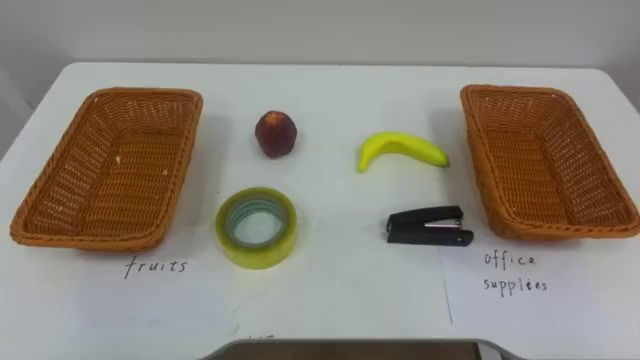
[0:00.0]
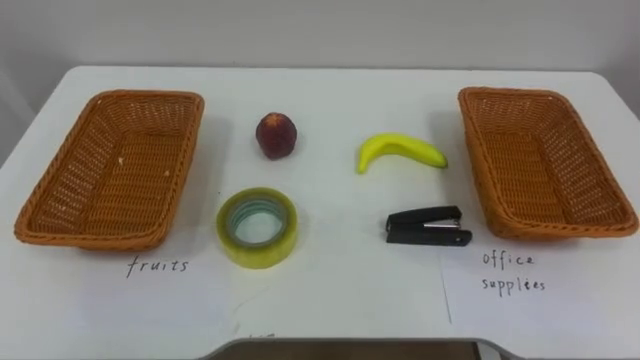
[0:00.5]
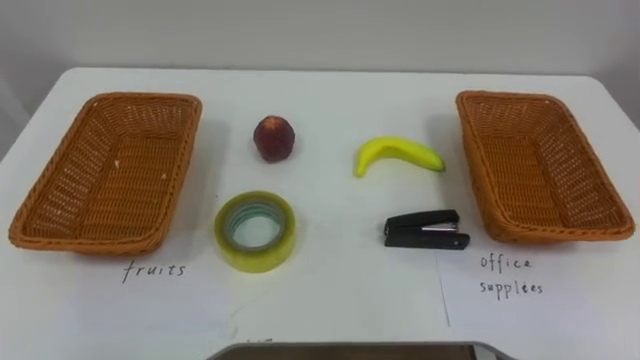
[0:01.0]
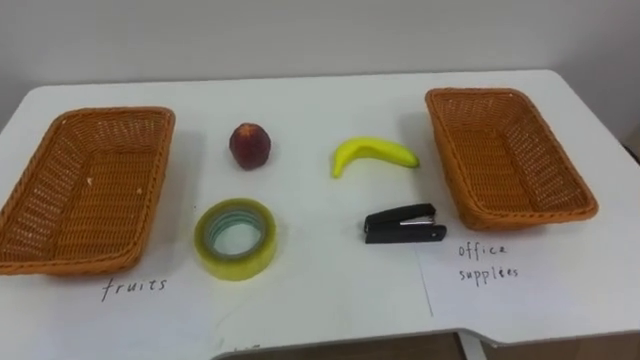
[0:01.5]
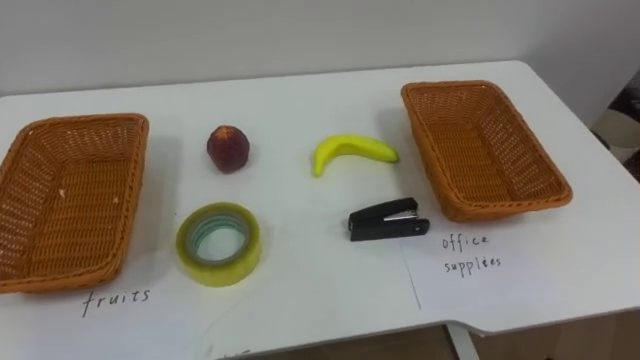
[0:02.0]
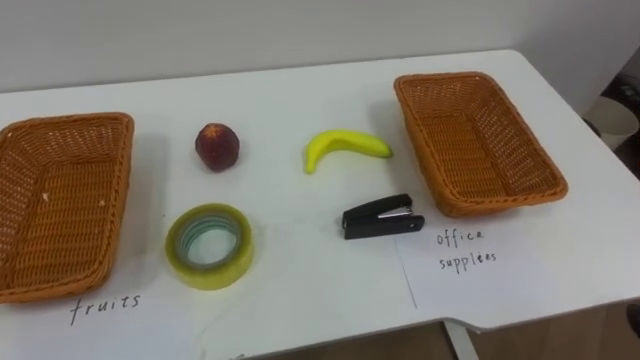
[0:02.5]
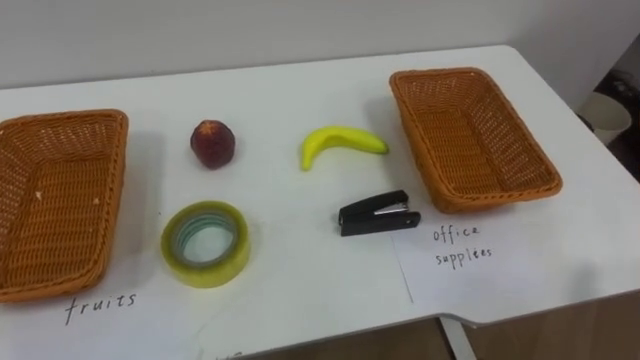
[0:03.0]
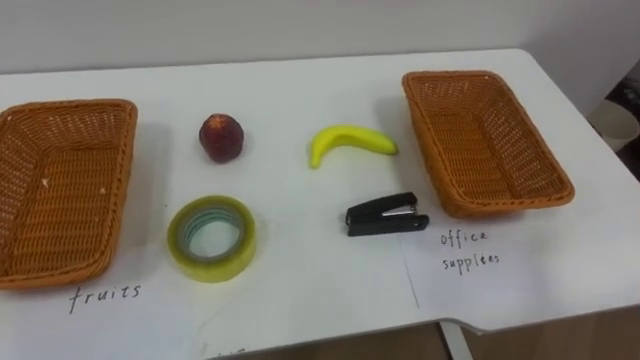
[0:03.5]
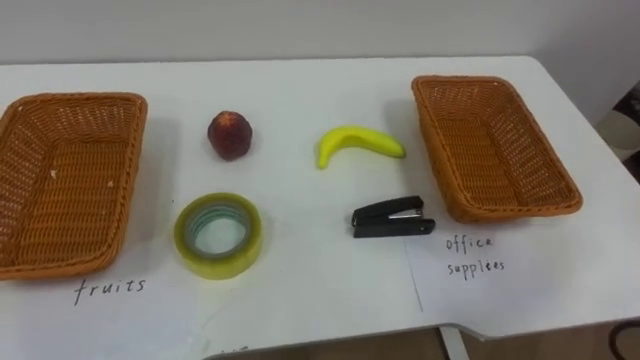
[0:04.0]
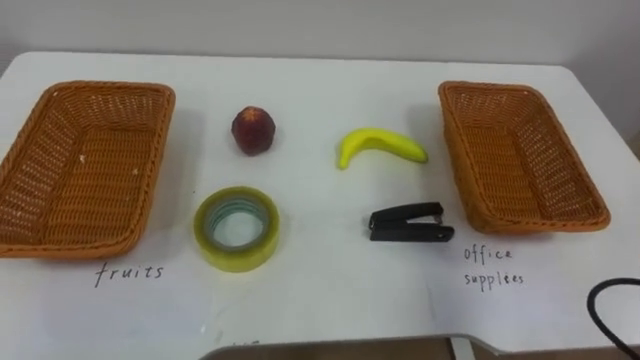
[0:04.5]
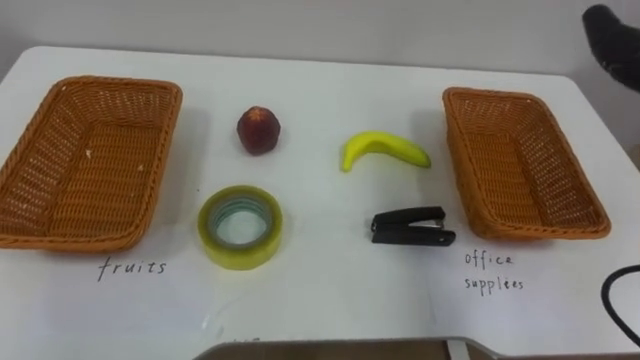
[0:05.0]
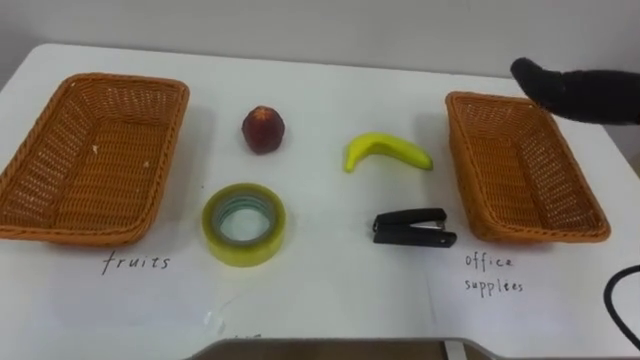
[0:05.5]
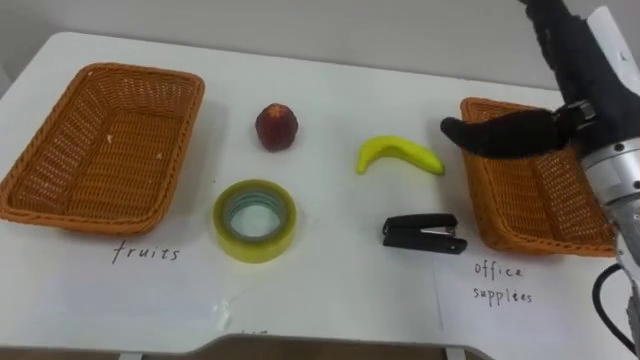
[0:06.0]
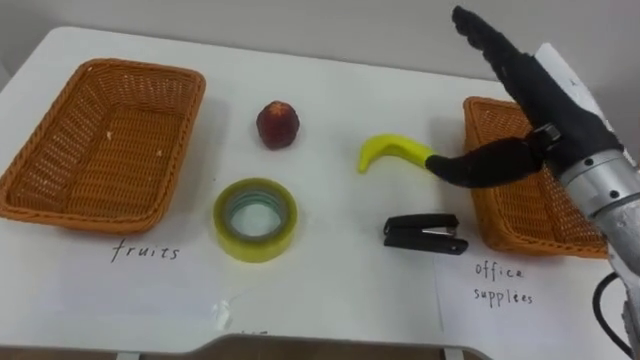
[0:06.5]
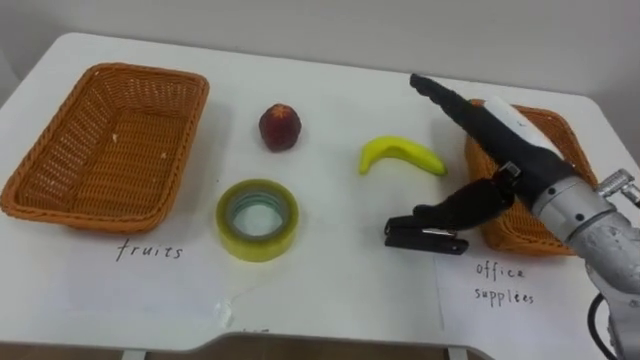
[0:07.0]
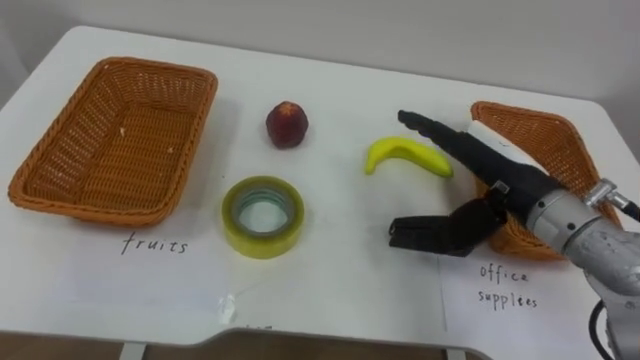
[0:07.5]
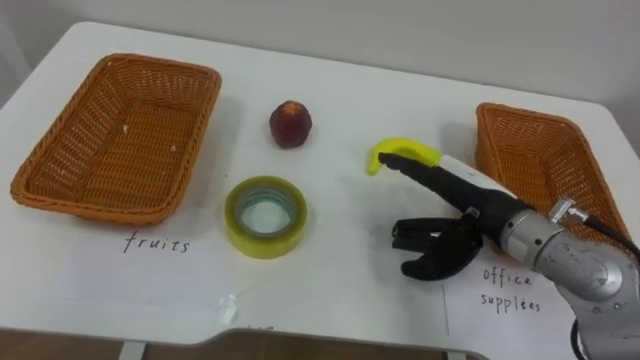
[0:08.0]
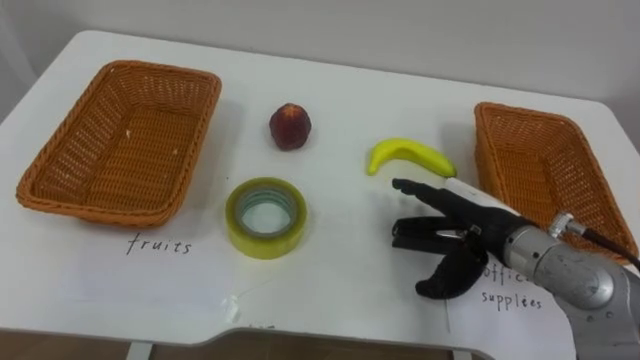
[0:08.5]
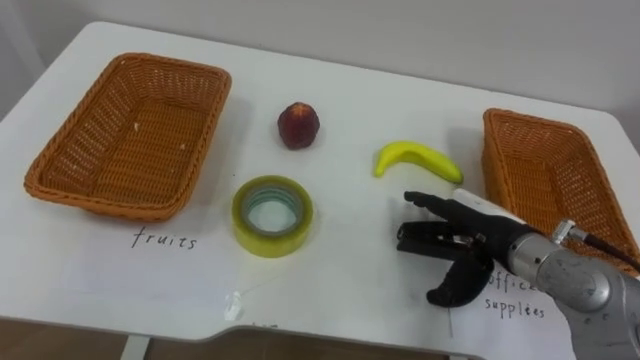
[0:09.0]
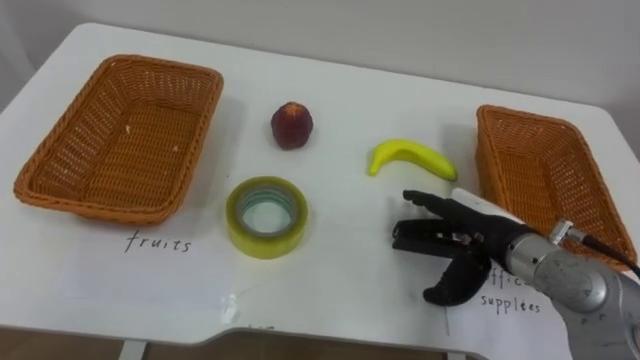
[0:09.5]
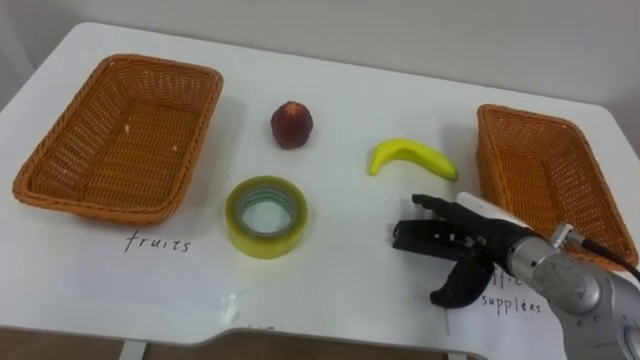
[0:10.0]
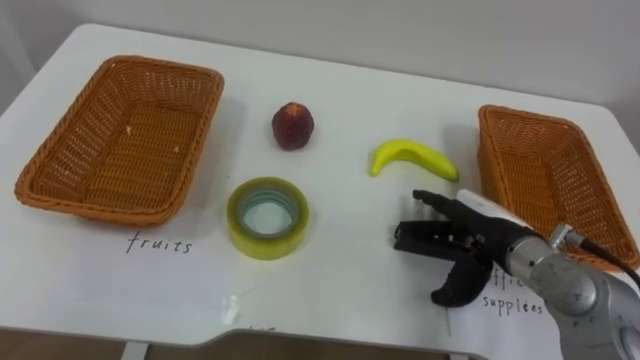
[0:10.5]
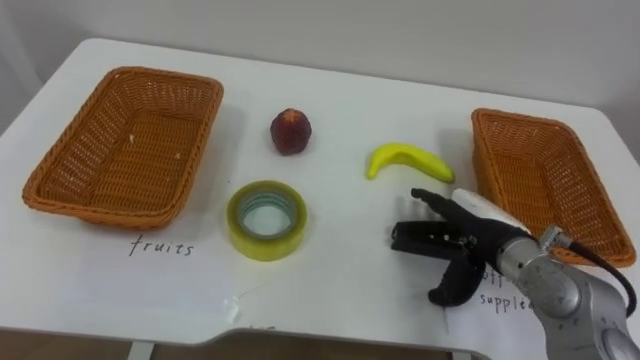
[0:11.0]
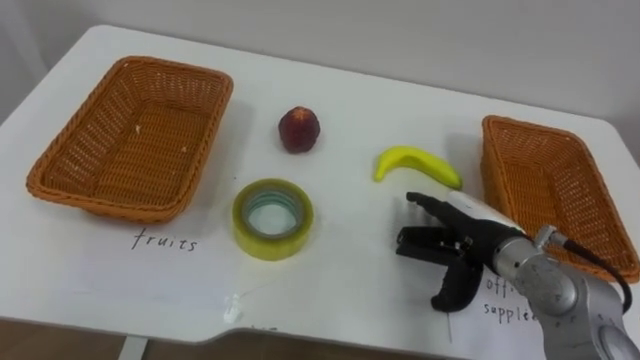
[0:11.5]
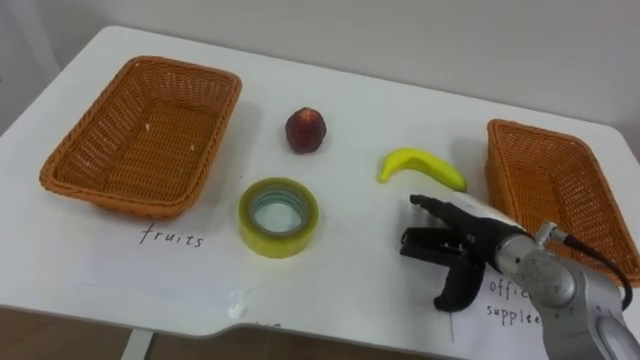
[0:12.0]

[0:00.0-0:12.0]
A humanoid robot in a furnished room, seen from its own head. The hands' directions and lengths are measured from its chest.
Task of the whole recording: Separate the items on the table and place them into the two baskets.
0:06.0 to 0:08.0: The right hand travels downward and to the left by roughly 15 cm.
0:08.0 to 0:10.0: The right hand moves downward, about 5 cm.

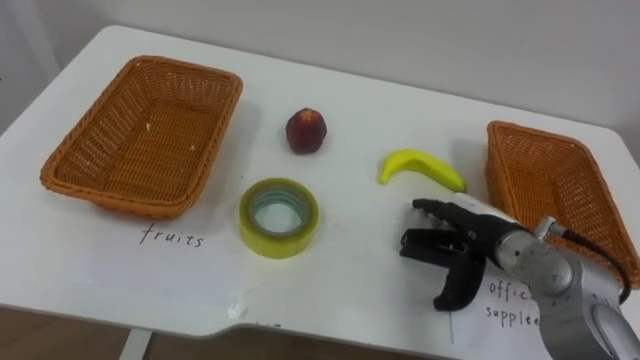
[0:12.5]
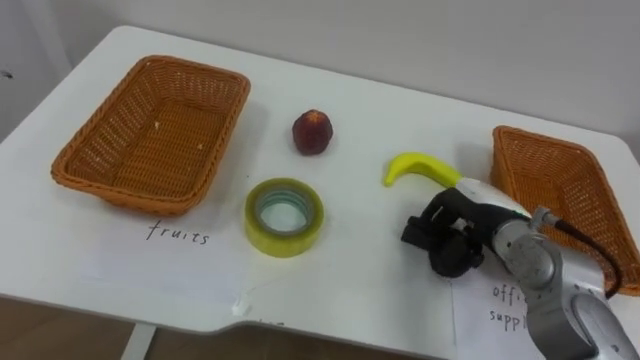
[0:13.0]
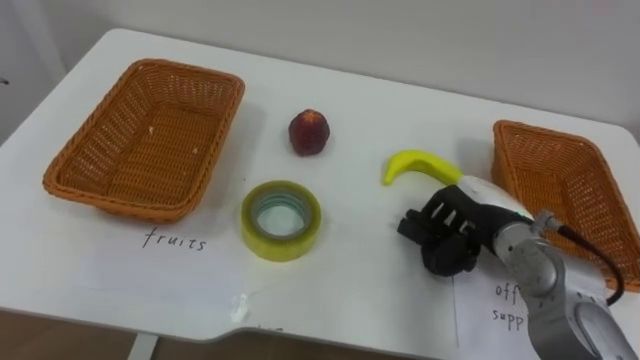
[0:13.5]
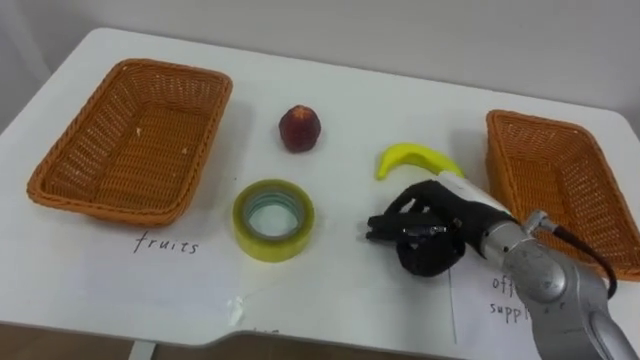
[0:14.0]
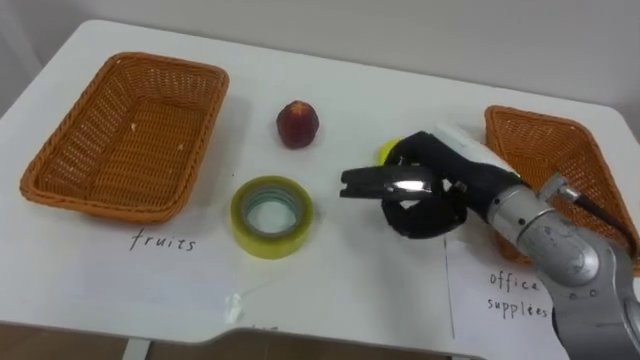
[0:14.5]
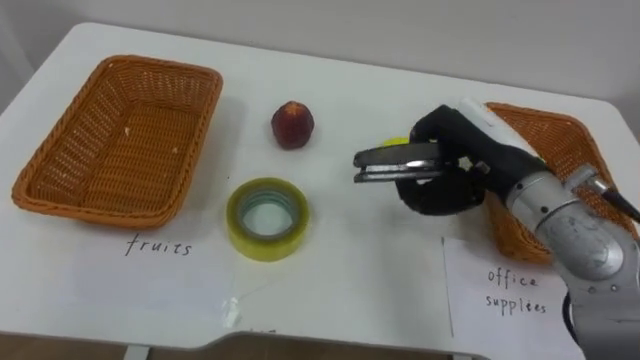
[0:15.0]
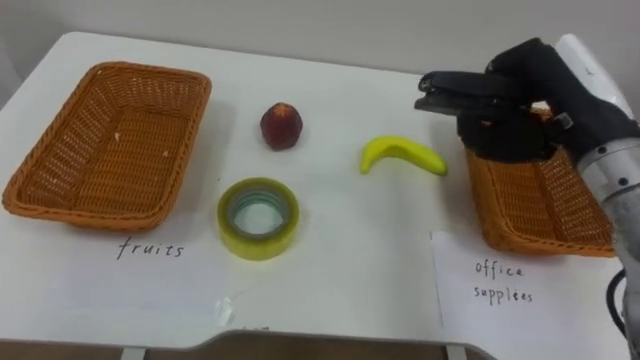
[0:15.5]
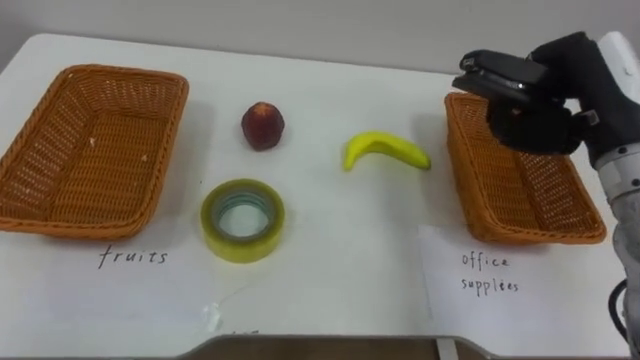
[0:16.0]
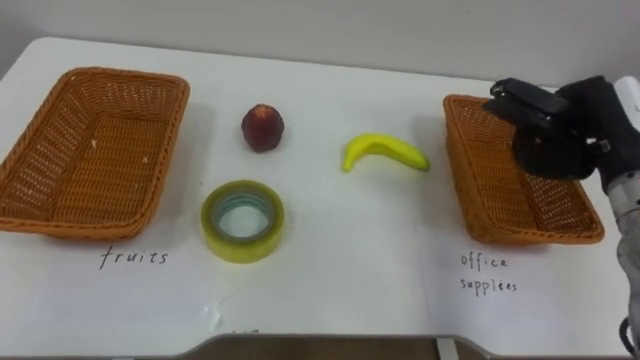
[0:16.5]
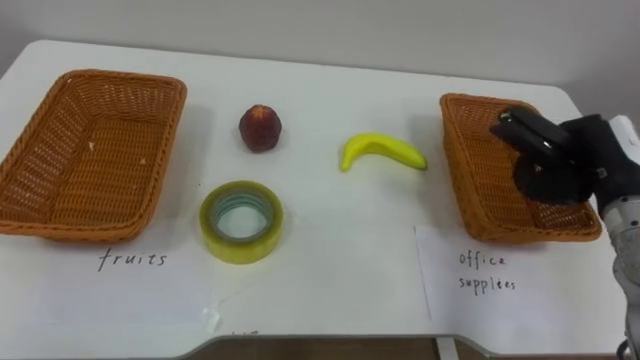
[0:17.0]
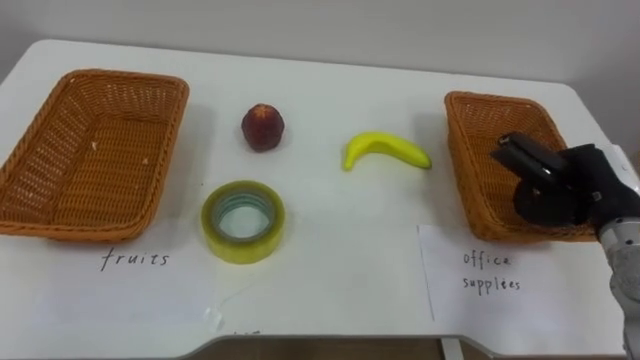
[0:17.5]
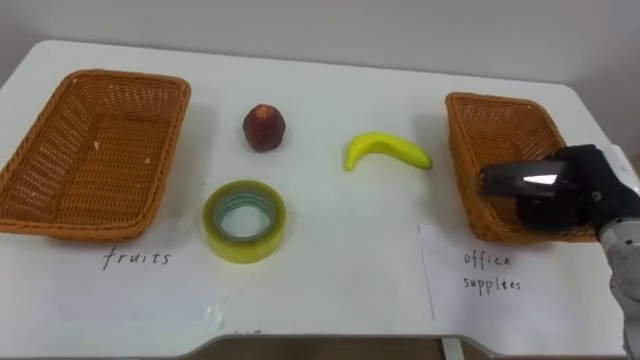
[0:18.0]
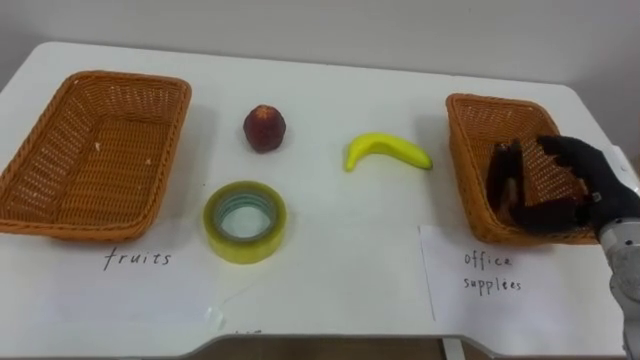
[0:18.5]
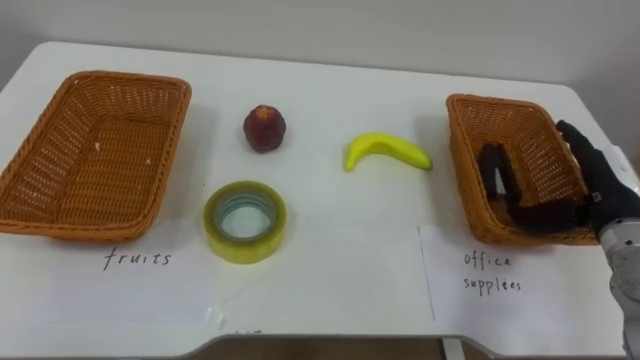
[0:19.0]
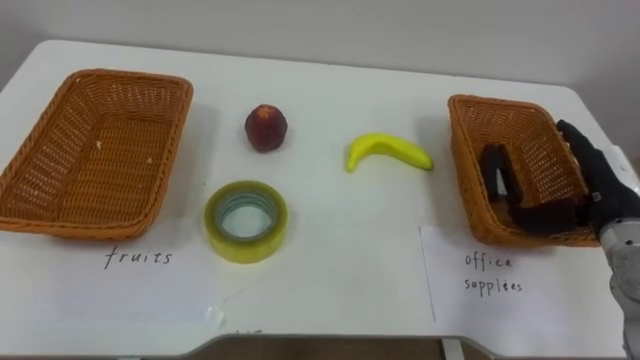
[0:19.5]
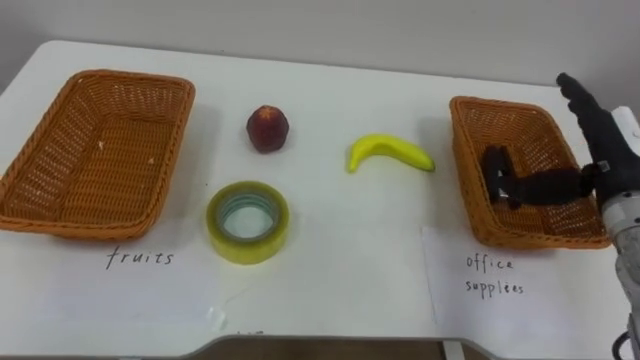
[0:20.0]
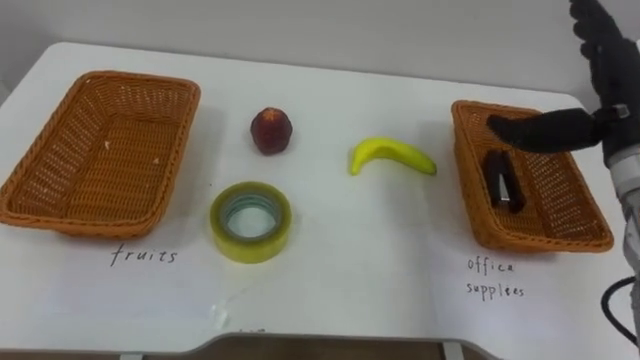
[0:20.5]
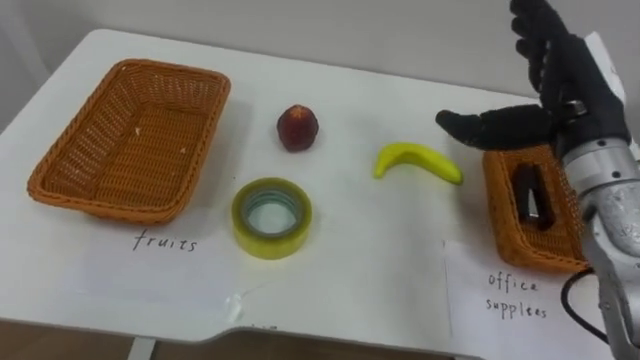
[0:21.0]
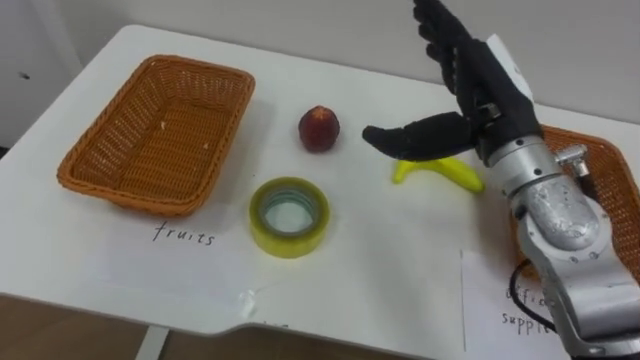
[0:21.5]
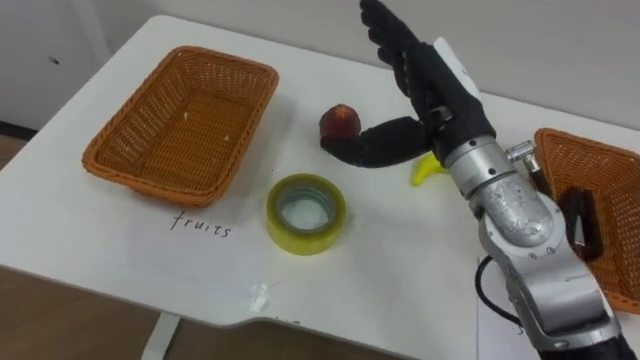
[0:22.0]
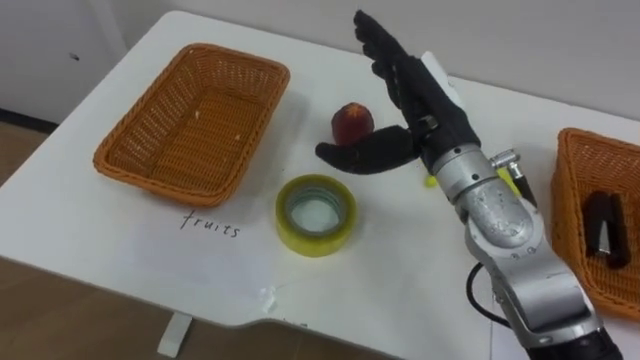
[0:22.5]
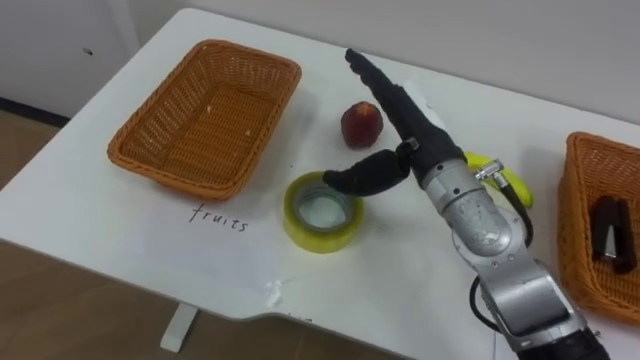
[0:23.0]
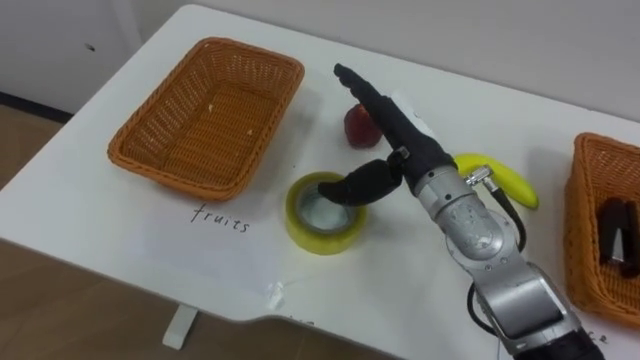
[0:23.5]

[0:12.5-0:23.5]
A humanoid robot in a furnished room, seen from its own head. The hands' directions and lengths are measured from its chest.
Task of the whole recording: Separate the items on the table and place them into the two baskets.
0:12.5 to 0:14.5: The right hand is displaced upward by about 10 cm, and closes.
0:14.5 to 0:16.0: The right hand shifts roughly 15 cm to the right and upward.
0:16.0 to 0:18.0: The right hand is displaced downward and to the right by about 15 cm.
0:18.0 to 0:20.0: The right hand shifts by some 5 cm, and opens up.
0:20.0 to 0:21.5: The right hand is displaced to the left and upward by roughly 15 cm.
0:21.5 to 0:23.5: The right hand heads to the left and downward, covering about 10 cm.
